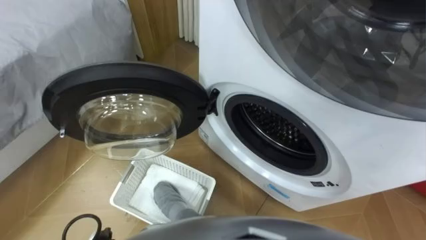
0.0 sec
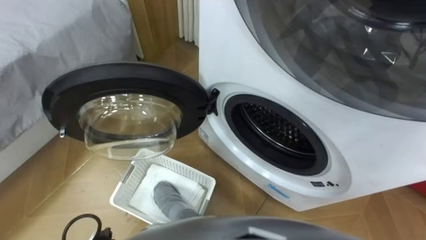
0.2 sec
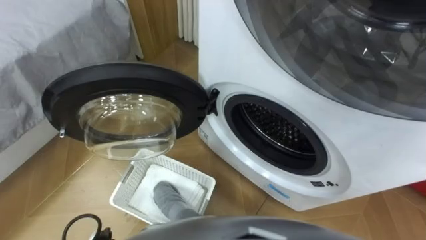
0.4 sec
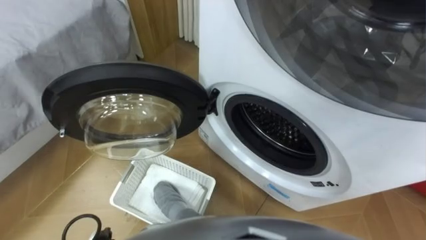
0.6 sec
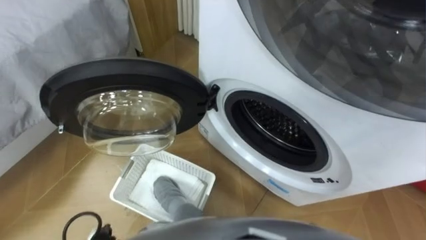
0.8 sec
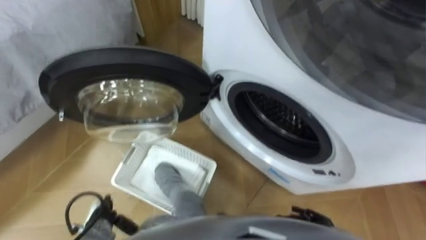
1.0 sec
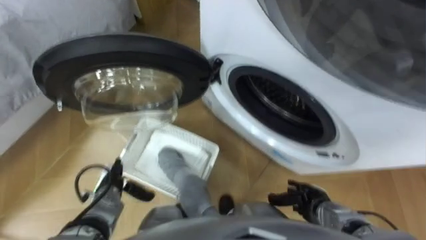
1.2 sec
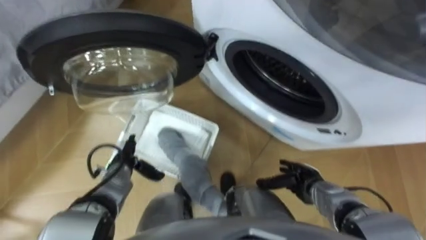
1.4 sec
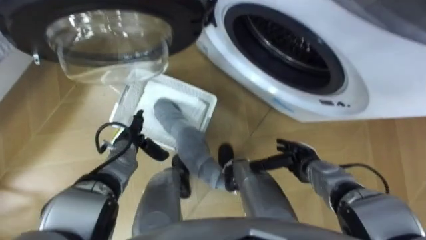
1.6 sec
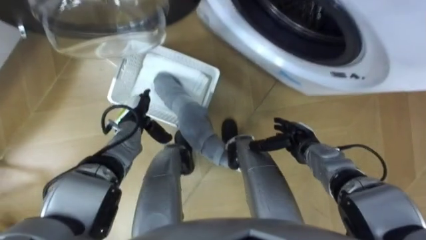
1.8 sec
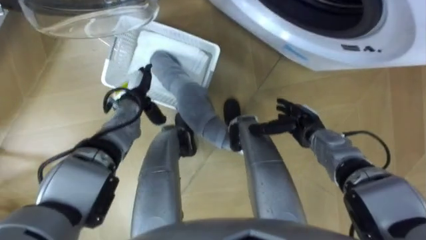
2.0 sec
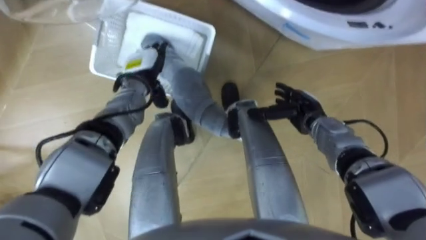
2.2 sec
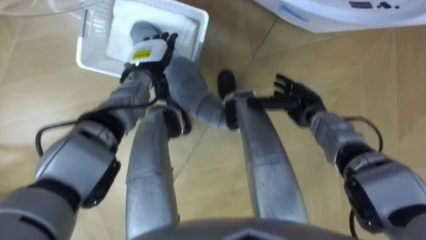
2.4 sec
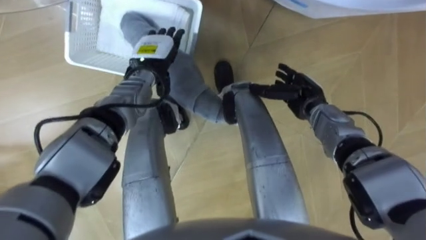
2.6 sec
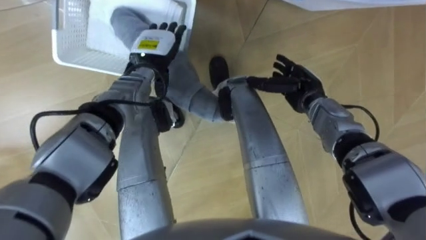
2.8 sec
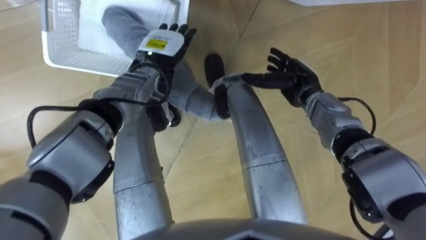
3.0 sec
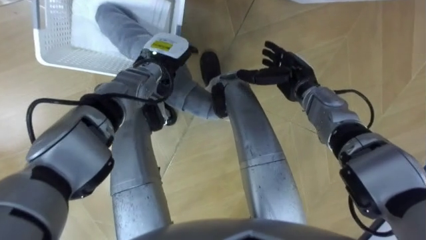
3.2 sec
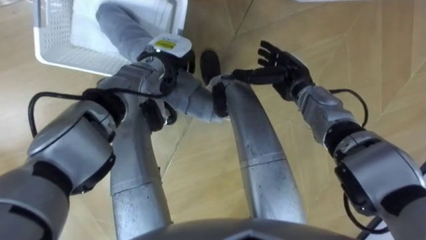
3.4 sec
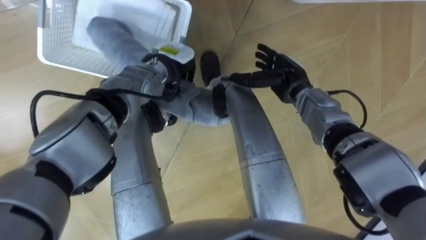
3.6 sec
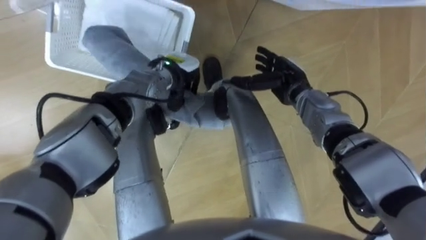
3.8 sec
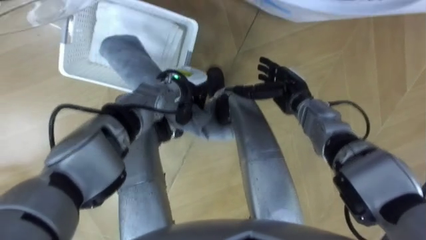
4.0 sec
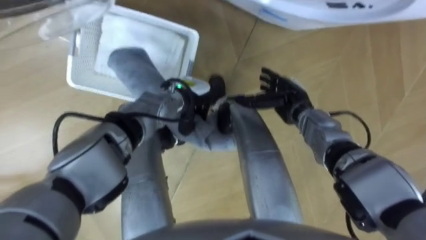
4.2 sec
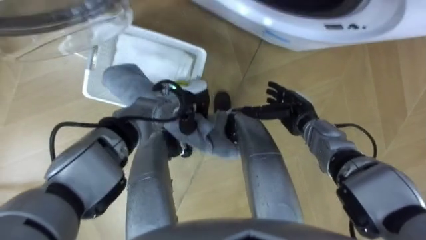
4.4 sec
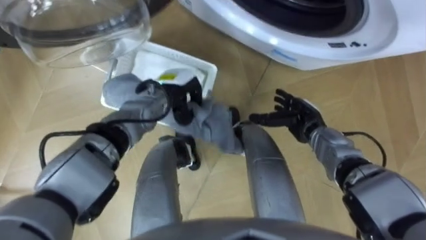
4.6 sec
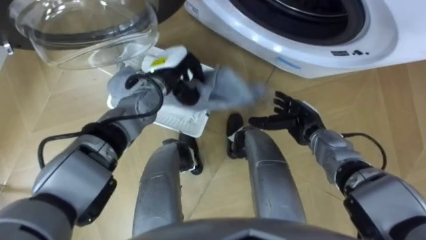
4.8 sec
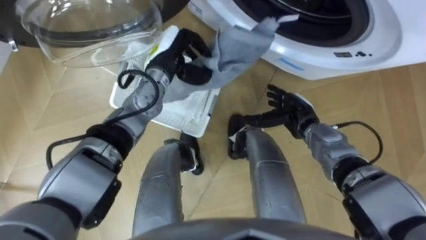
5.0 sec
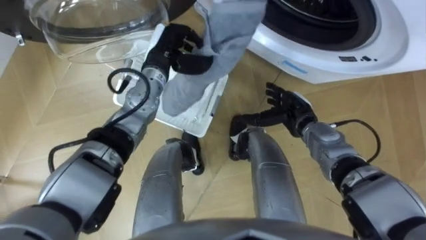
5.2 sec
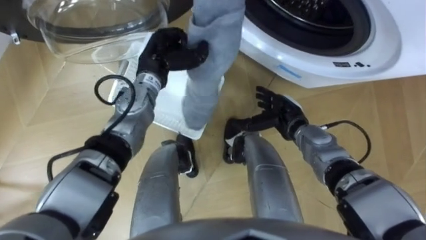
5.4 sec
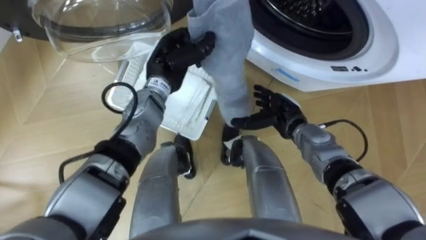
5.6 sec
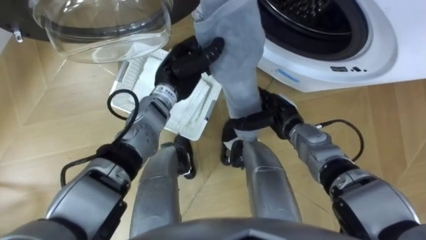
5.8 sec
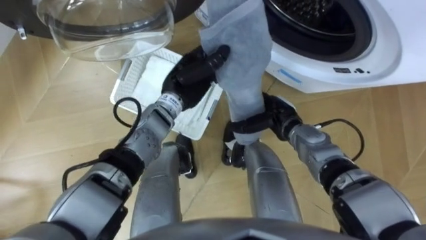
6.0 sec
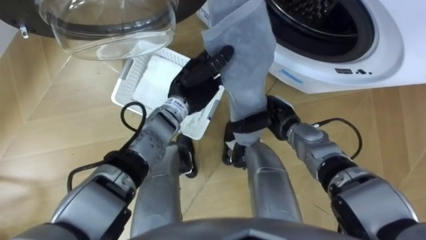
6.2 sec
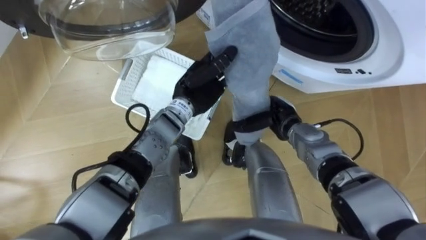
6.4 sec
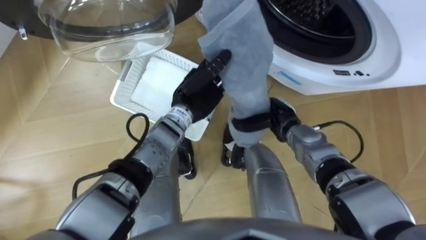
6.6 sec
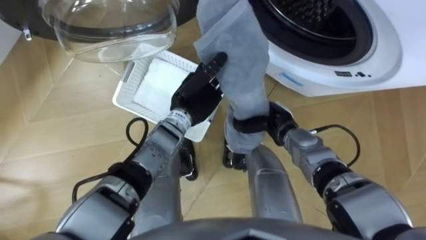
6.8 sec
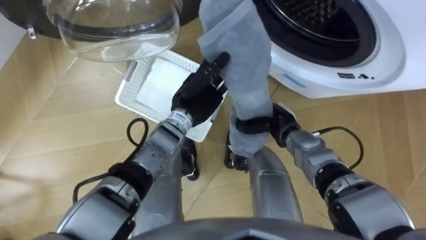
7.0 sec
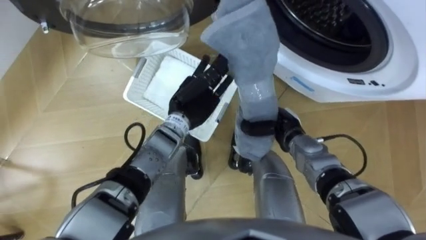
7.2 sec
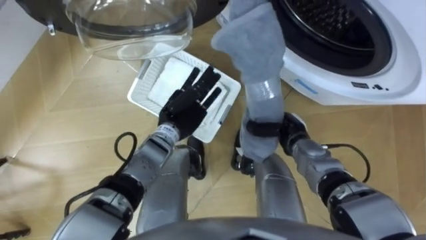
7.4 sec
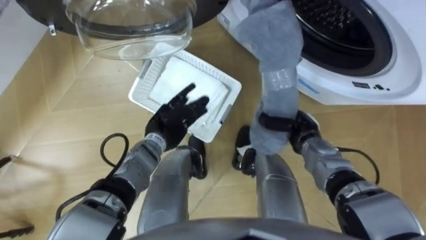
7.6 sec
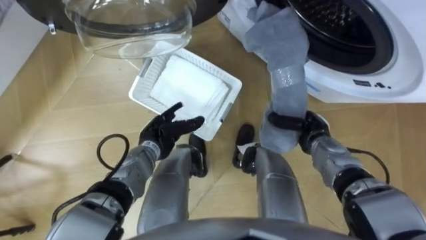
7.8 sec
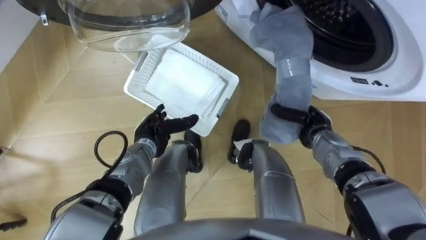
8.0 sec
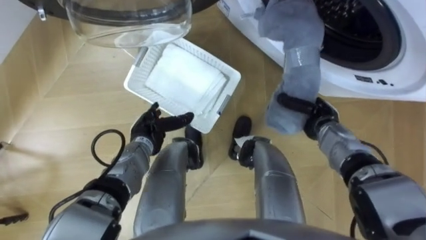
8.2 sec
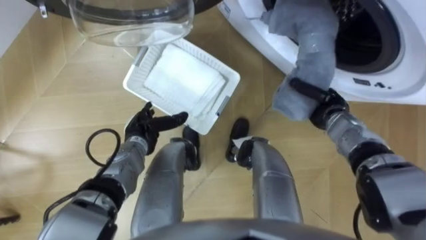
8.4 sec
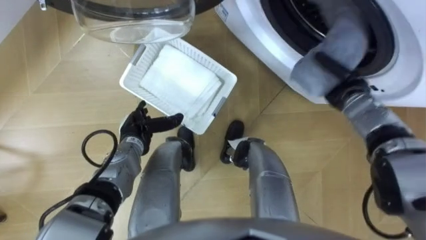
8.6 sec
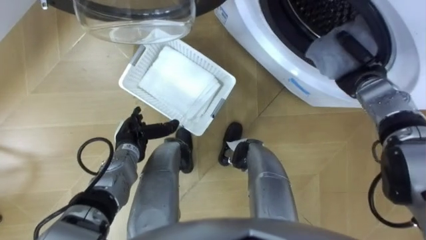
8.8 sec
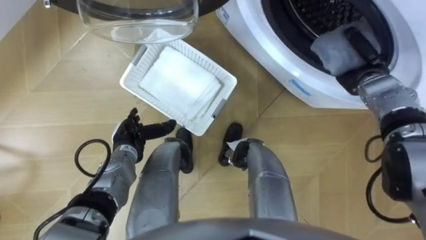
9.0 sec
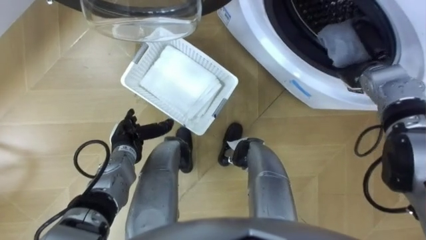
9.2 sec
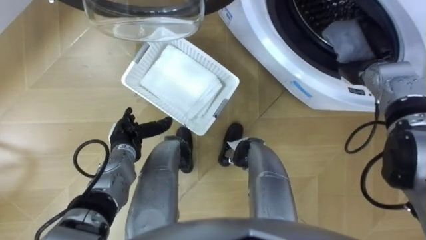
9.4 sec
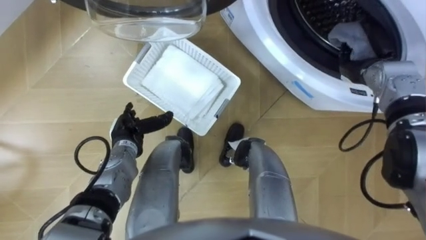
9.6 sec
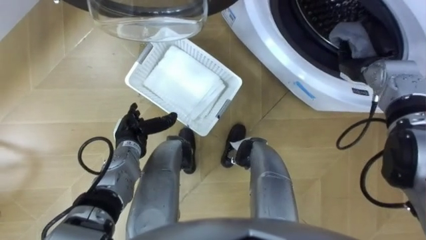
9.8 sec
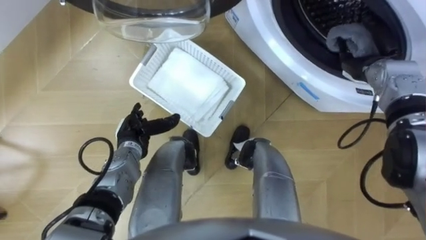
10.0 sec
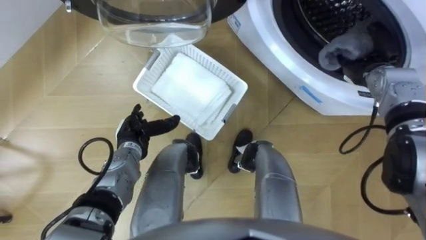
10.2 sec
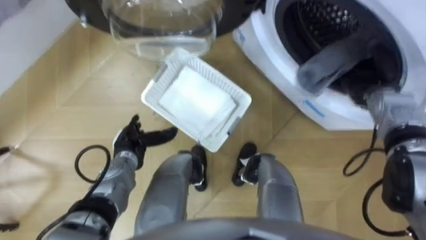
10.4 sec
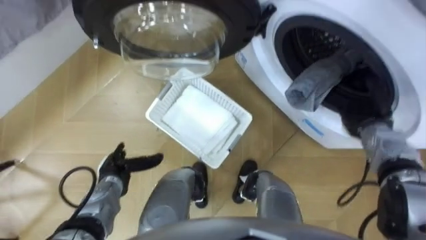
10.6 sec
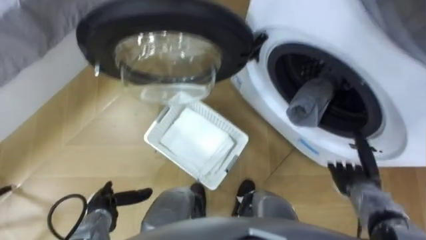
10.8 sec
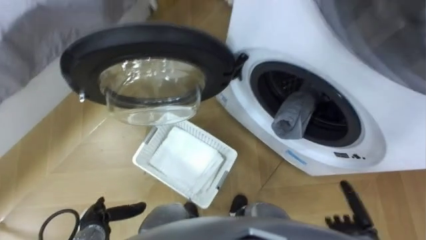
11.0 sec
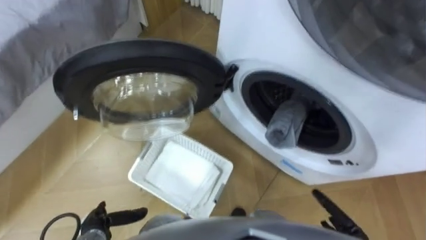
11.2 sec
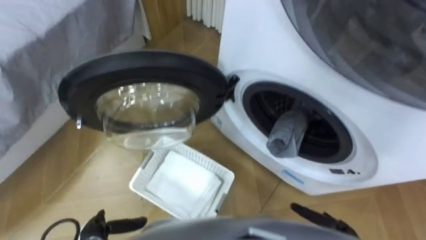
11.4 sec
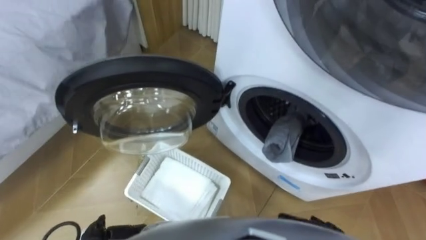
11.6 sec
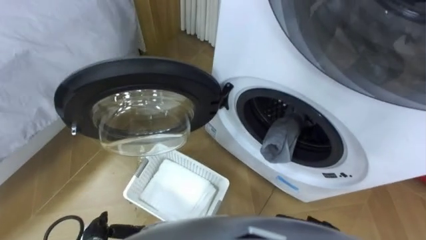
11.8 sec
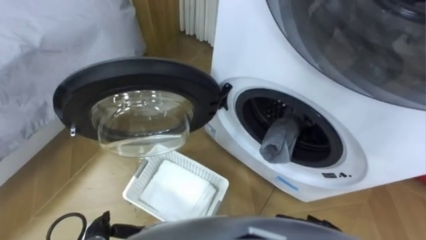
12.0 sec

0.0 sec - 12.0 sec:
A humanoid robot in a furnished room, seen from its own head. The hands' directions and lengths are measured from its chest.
Task of the whole recording: Take the towel from the basket and put it into the washing machine.
1.6 sec - 3.0 sec: The right hand heads forward and upward, covering roughly 20 cm; the left hand heads upward, forward and to the right, covering about 20 cm.
3.0 sec - 4.4 sec: The left hand goes approximately 10 cm downward and backward, and closes up. Meanwhile the right hand shifts by approximately 5 cm.
4.4 sec - 6.0 sec: The left hand shifts approximately 5 cm upward.
6.0 sec - 7.6 sec: The right hand travels to the right by roughly 5 cm, and closes its fingers; the left hand heads downward, backward and to the left, covering about 15 cm, and opens.
7.6 sec - 9.0 sec: The right hand is displaced to the right, upward and forward by roughly 20 cm; the left hand heads to the left, covering about 10 cm.
9.0 sec - 10.4 sec: The right hand opens its fingers.

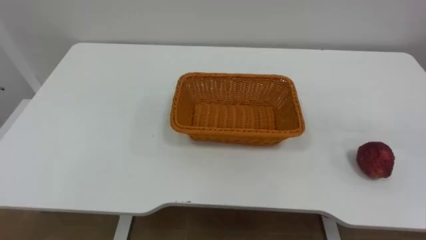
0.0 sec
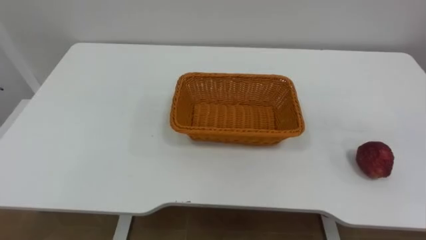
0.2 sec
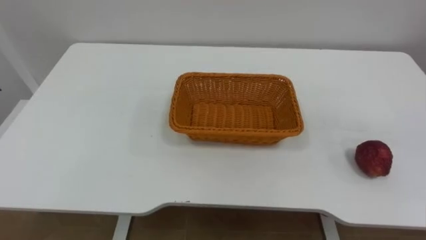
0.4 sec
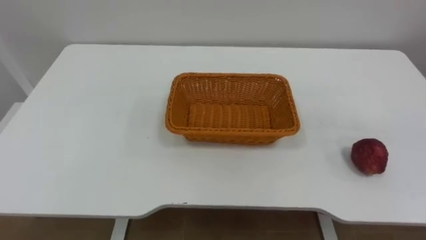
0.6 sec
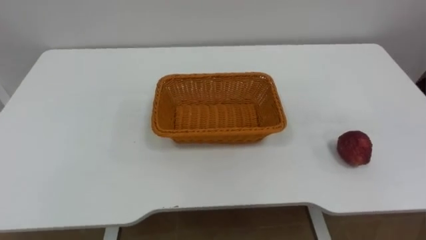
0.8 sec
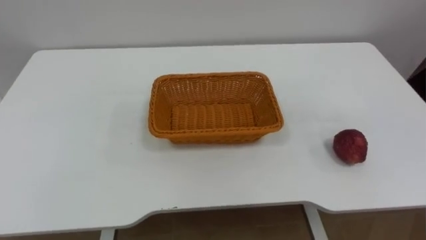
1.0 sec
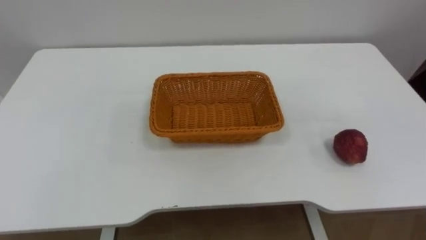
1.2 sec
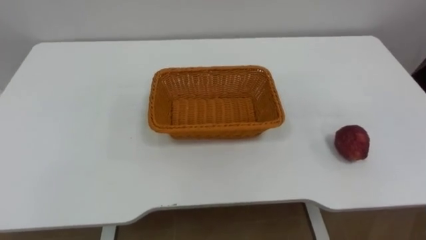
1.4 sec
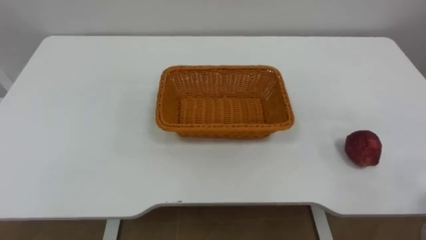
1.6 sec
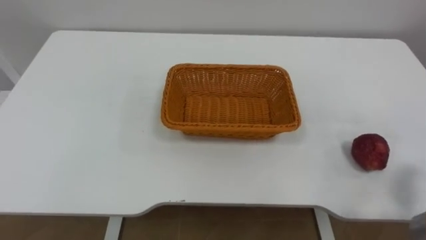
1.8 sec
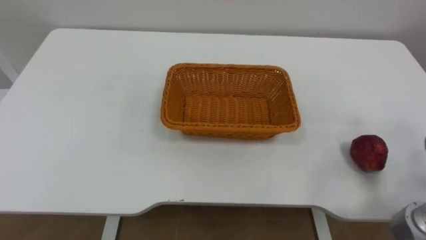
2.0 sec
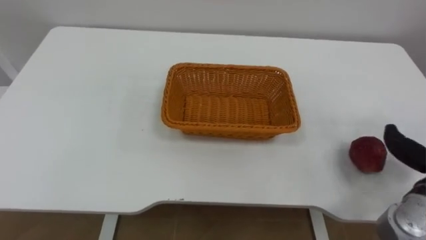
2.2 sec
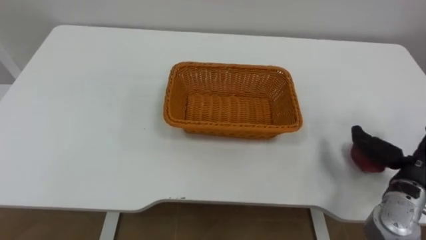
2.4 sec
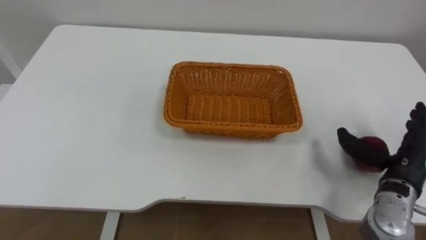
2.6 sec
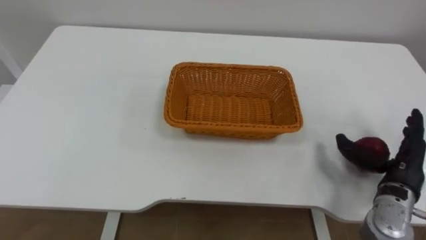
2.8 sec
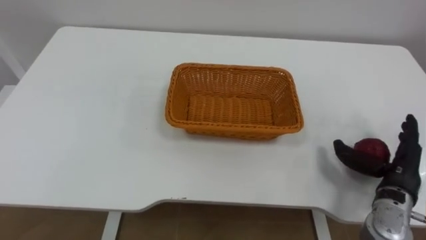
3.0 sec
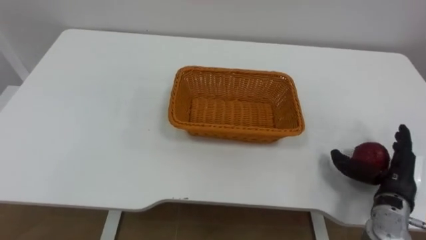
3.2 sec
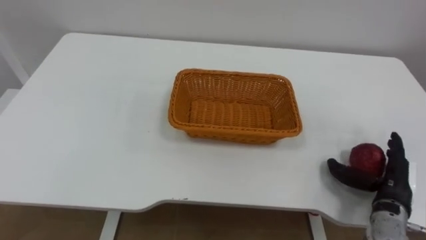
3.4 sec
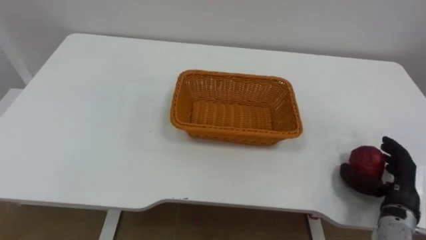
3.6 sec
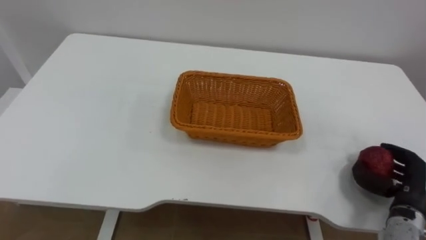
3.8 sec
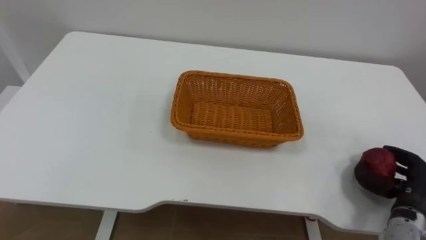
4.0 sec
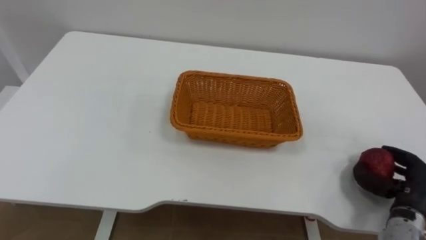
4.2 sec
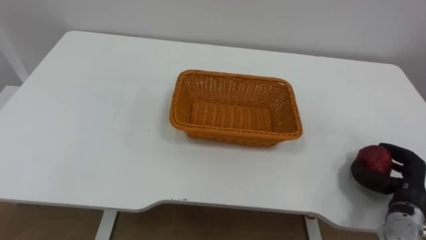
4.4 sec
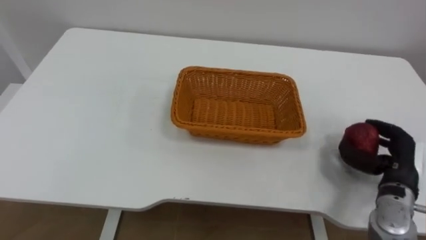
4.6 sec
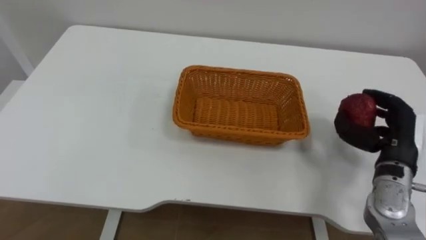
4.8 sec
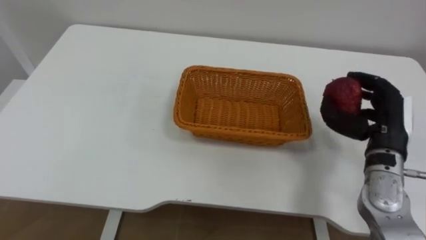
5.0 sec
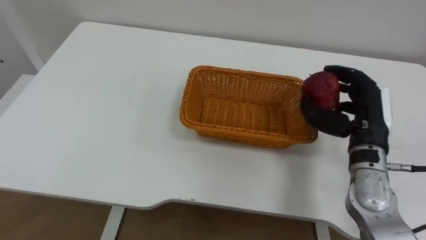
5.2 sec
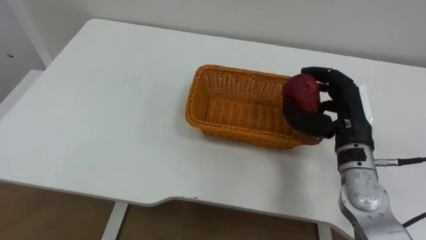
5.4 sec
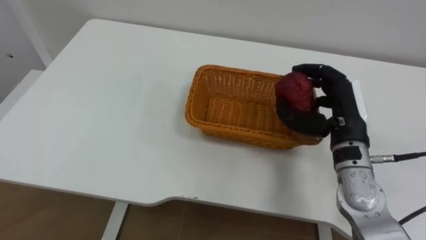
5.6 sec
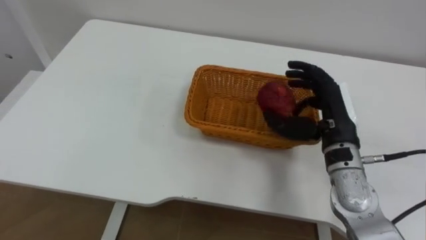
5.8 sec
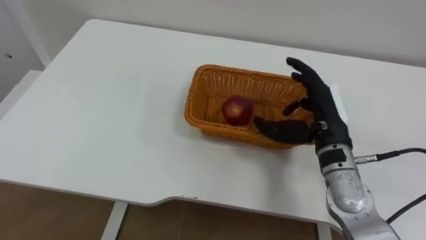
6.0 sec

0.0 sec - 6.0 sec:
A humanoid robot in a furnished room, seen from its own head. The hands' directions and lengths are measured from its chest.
Task of the whole recording: Pick the apple and place it in the box.
3.0 sec - 4.4 sec: The right hand shifts by roughly 5 cm, and closes its fingers.
4.4 sec - 6.0 sec: The right hand goes some 25 cm to the left, upward and forward.
